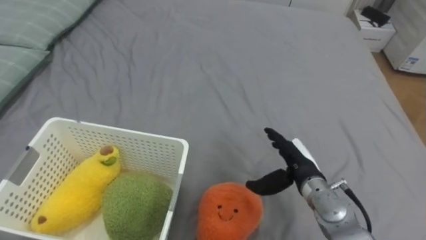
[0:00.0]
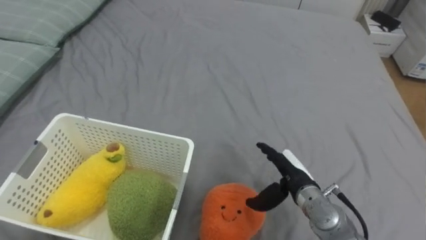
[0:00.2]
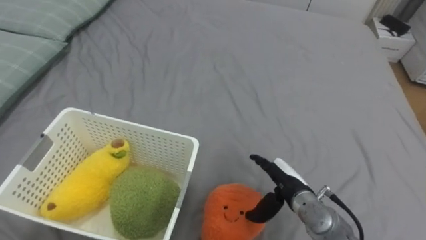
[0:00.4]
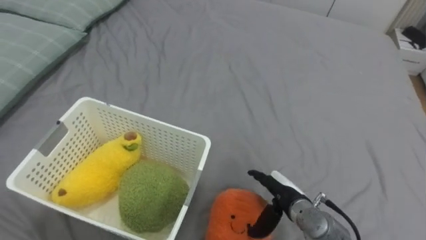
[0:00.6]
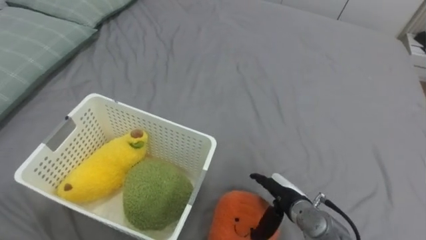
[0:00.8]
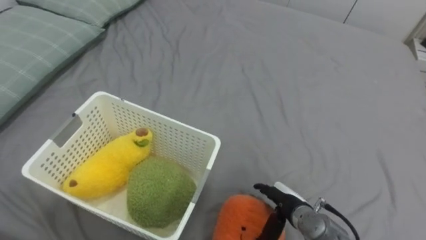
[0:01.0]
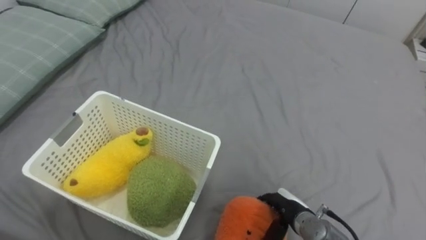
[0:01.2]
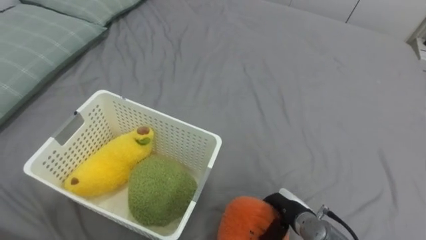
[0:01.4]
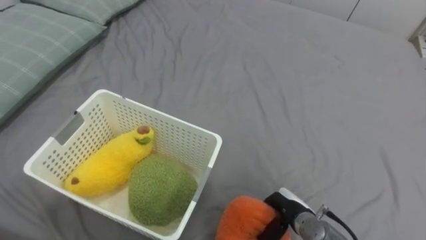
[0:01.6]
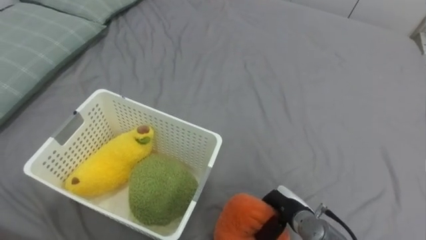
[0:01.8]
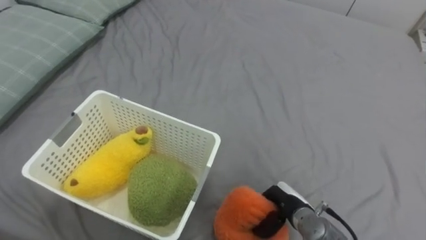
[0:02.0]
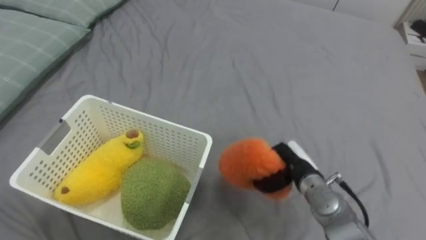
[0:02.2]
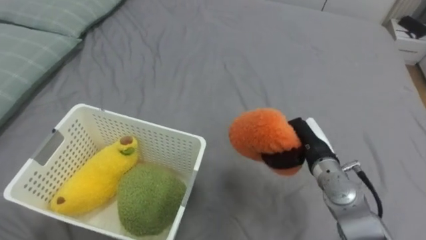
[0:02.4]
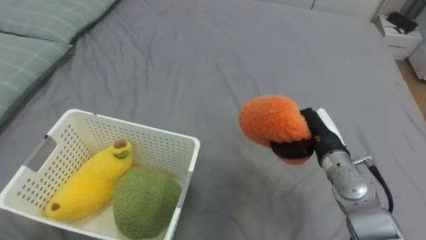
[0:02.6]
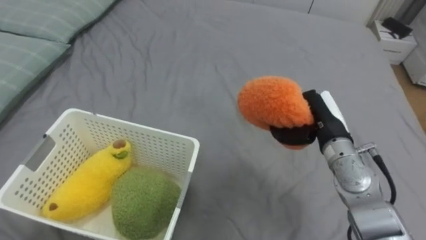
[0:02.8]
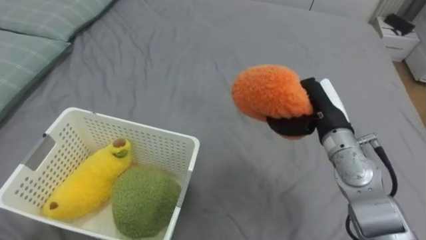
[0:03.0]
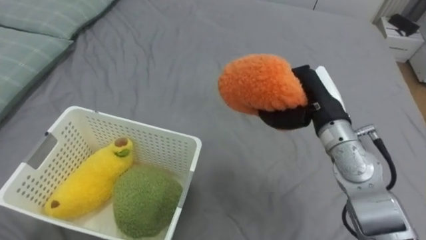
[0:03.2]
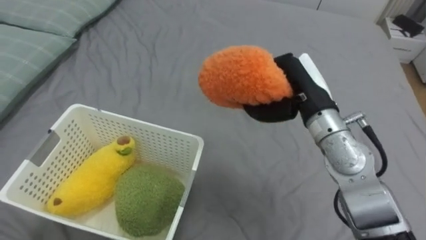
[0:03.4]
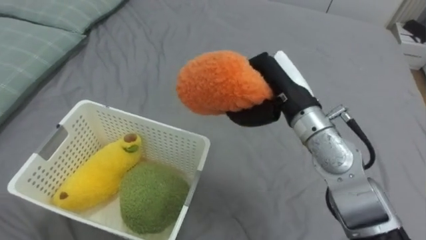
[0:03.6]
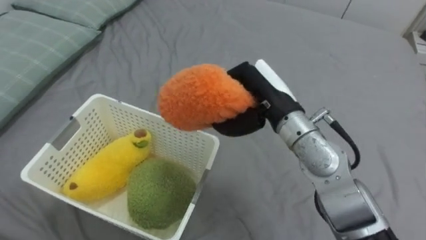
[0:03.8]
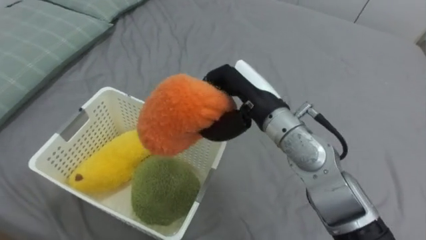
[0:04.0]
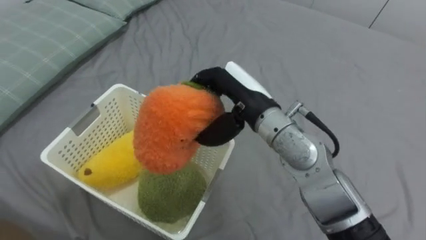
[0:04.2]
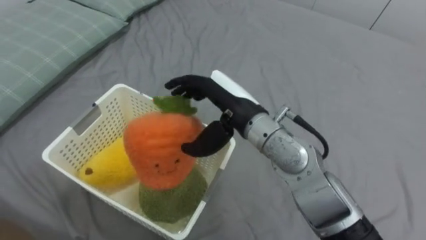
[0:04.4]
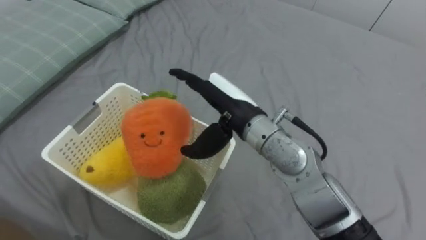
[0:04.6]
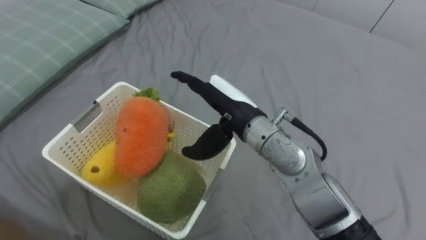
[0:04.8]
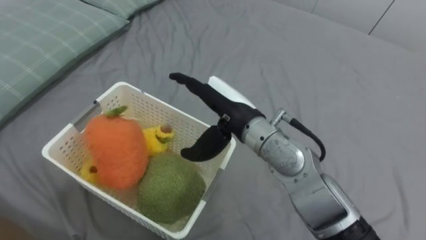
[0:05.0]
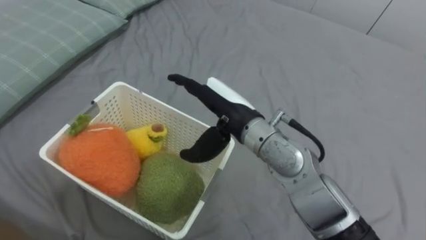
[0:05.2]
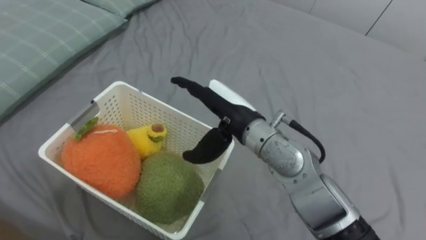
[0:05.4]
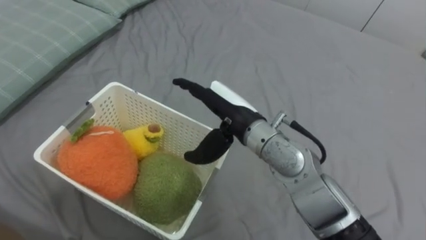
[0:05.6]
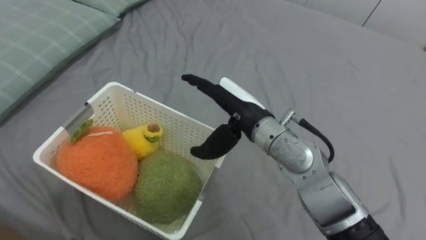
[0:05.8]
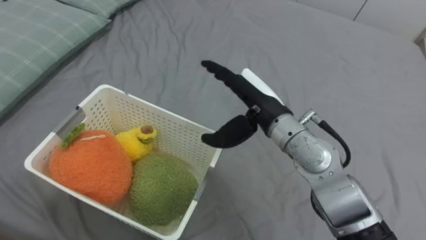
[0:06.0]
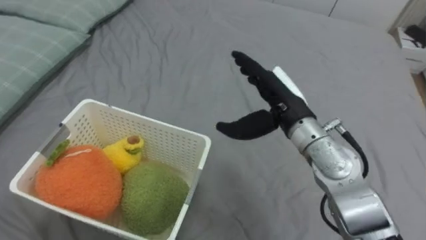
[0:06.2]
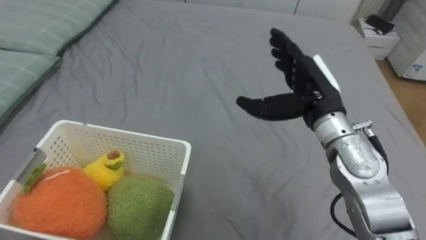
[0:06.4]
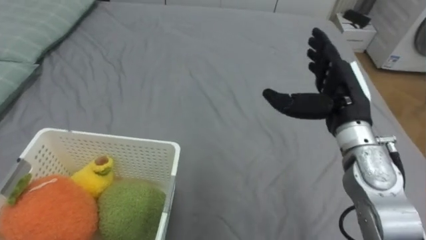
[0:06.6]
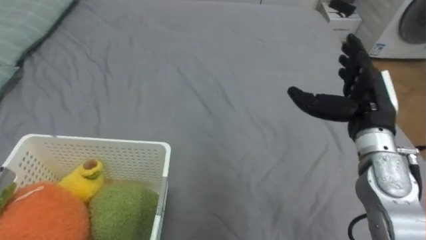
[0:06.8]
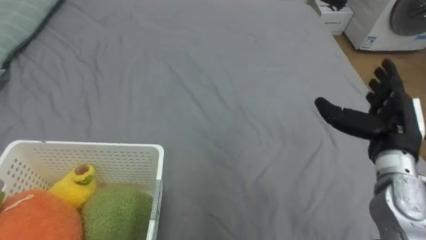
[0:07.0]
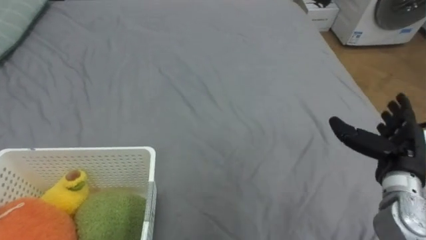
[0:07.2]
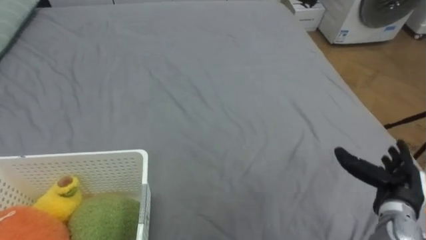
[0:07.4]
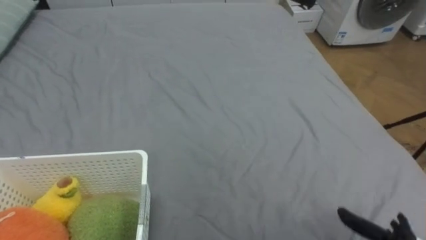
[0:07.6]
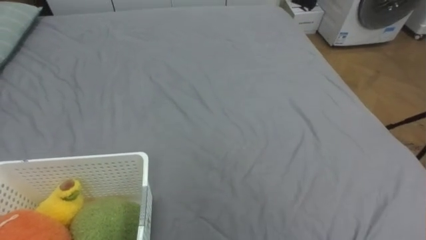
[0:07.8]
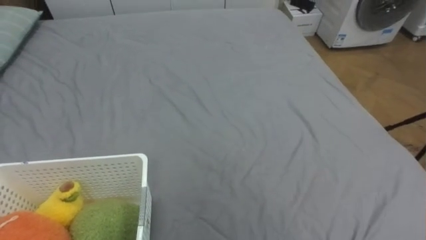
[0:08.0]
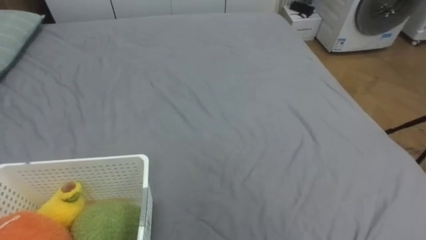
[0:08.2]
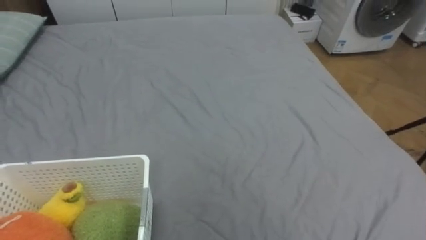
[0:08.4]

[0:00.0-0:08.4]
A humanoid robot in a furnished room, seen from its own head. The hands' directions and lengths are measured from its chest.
Task of the whole recording: Put the toys on the bed into the basket on the left.
0:00.0 to 0:01.4: The right hand heads downward and backward, covering some 10 cm, and closes up.
0:01.4 to 0:02.8: The right hand moves upward and forward, about 20 cm, and closes up.
0:02.8 to 0:04.2: The right hand is displaced to the left and upward by approximately 20 cm, and opens up.
0:04.2 to 0:05.6: The right hand opens.
0:05.6 to 0:07.0: The right hand travels to the right by about 25 cm.

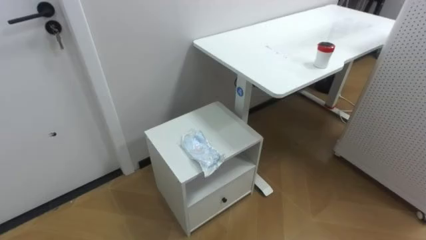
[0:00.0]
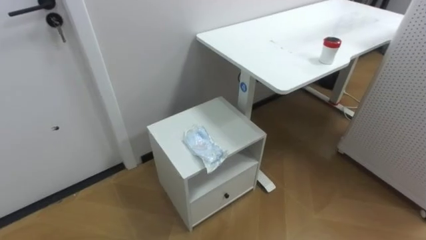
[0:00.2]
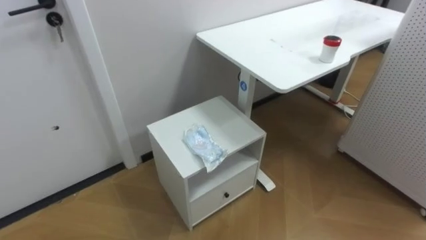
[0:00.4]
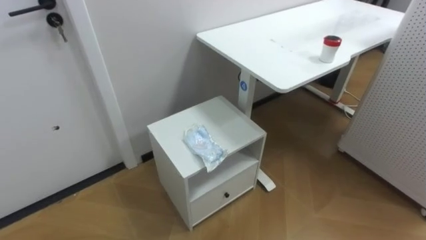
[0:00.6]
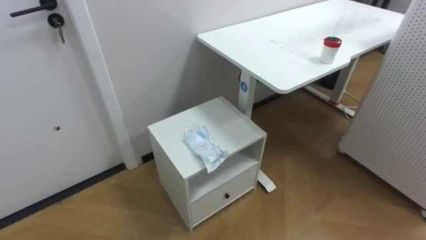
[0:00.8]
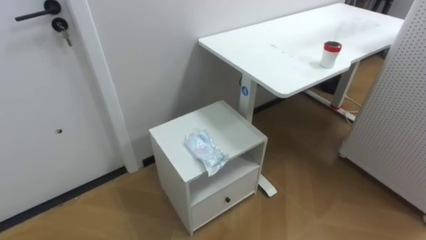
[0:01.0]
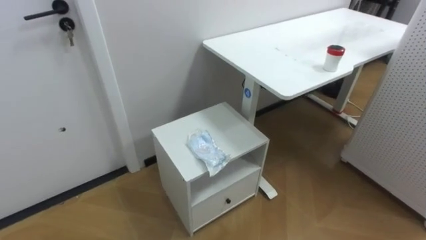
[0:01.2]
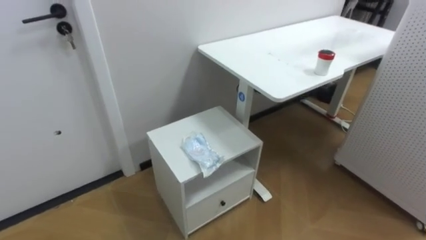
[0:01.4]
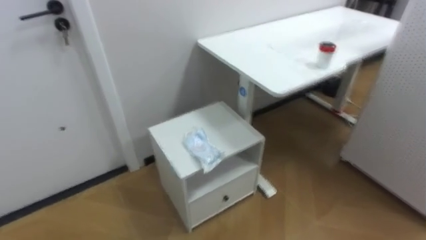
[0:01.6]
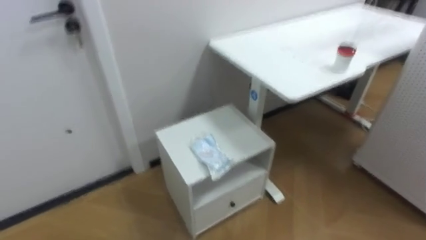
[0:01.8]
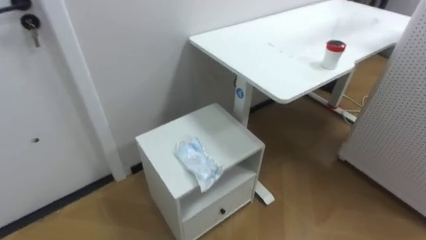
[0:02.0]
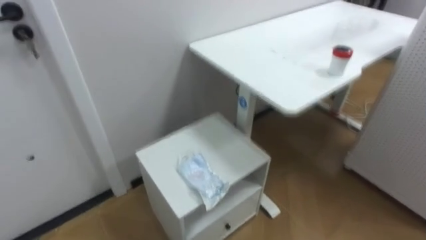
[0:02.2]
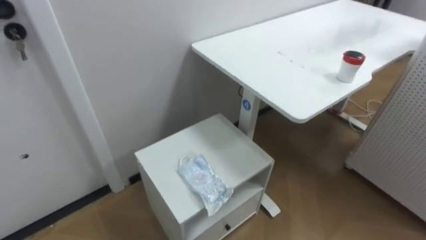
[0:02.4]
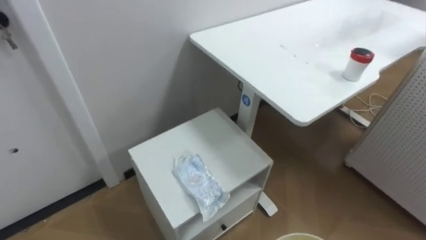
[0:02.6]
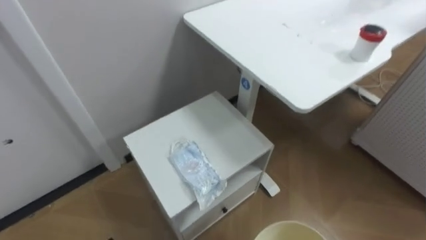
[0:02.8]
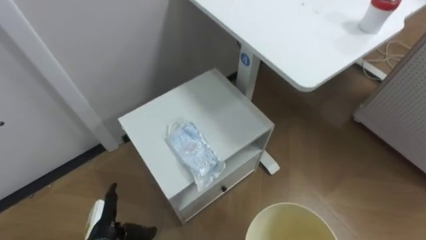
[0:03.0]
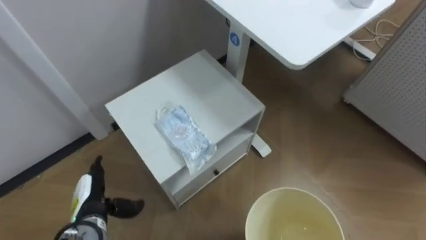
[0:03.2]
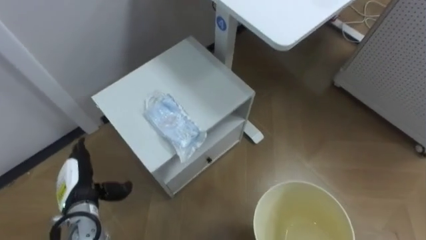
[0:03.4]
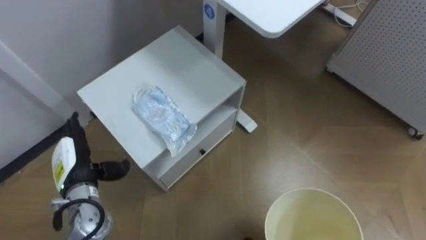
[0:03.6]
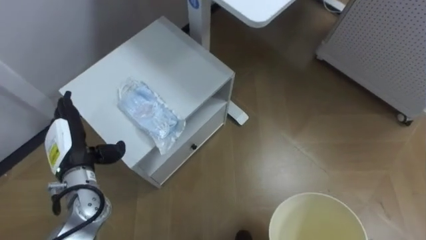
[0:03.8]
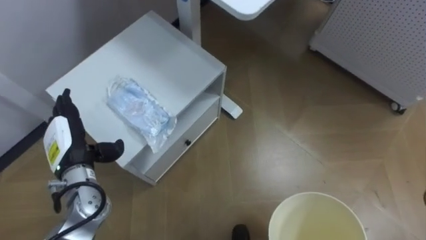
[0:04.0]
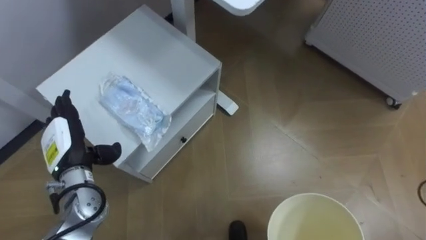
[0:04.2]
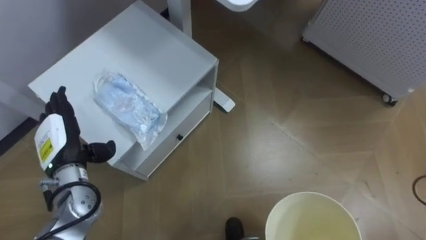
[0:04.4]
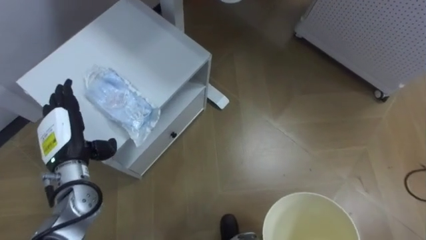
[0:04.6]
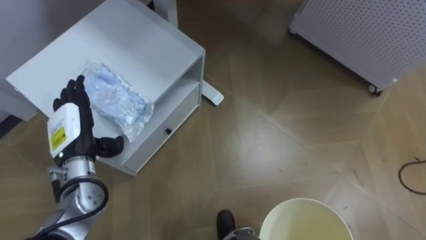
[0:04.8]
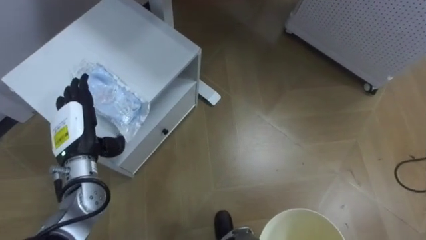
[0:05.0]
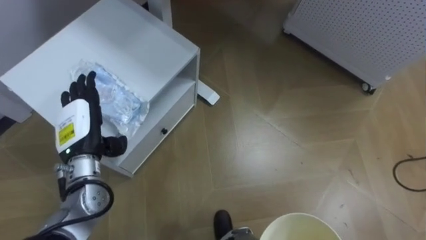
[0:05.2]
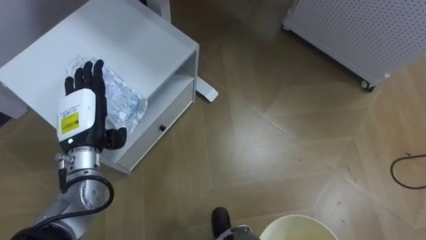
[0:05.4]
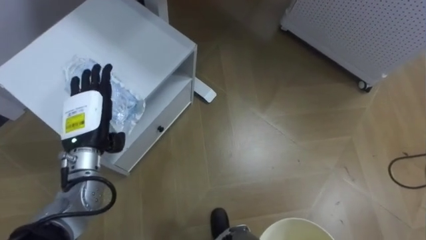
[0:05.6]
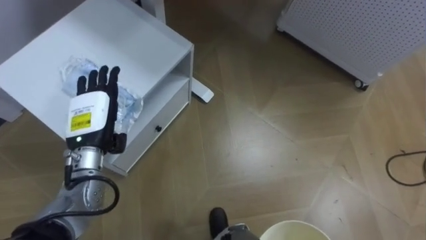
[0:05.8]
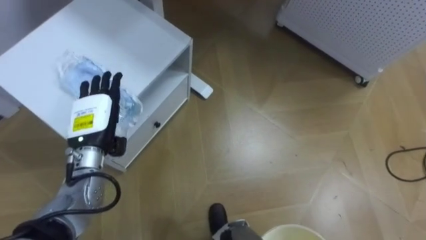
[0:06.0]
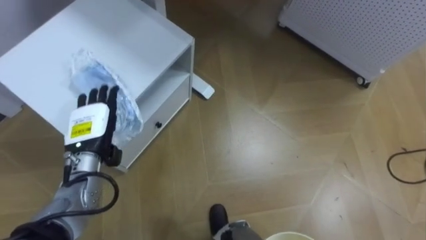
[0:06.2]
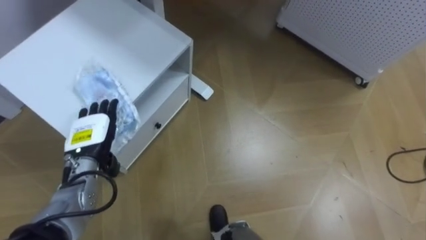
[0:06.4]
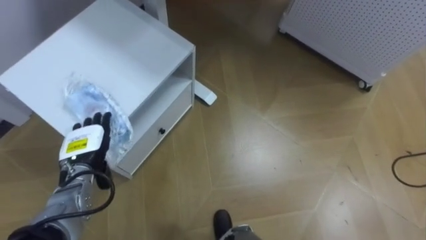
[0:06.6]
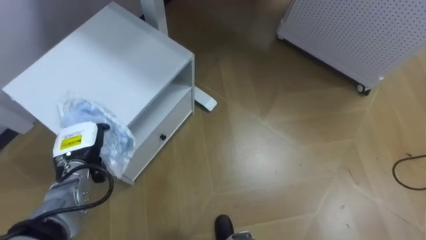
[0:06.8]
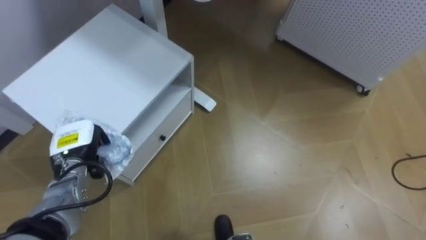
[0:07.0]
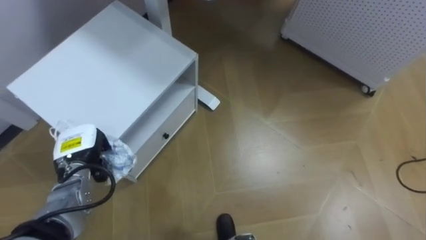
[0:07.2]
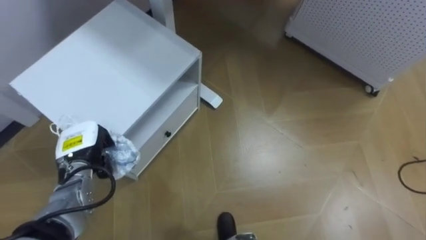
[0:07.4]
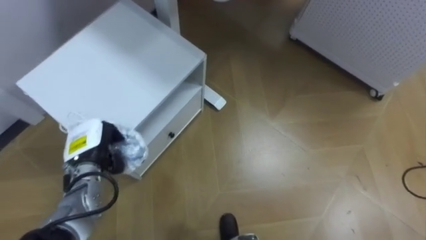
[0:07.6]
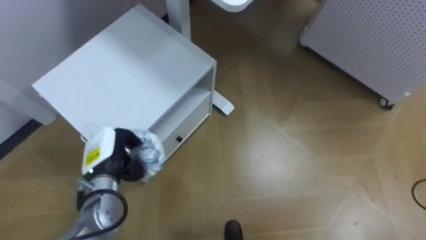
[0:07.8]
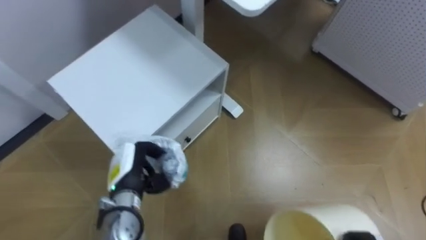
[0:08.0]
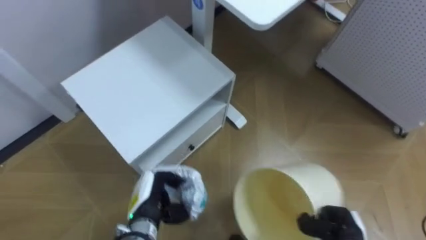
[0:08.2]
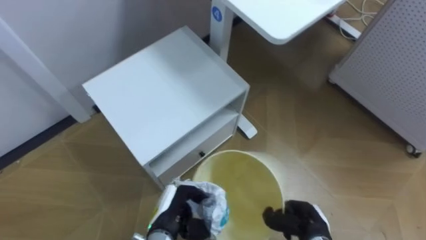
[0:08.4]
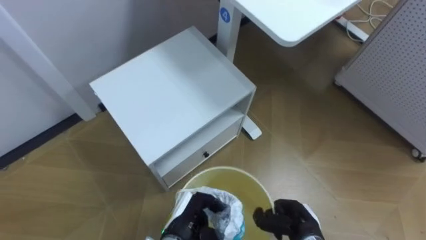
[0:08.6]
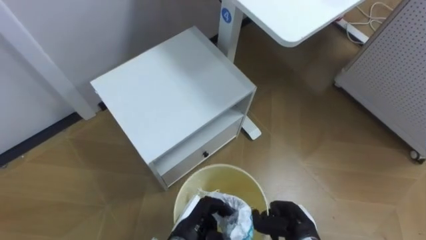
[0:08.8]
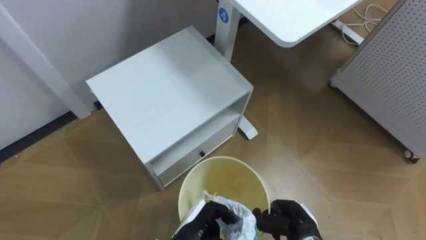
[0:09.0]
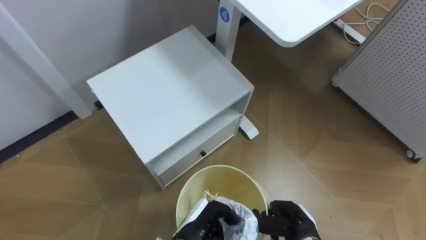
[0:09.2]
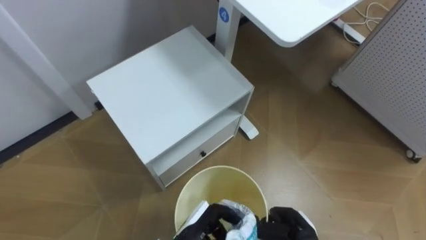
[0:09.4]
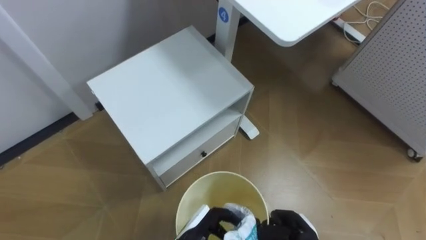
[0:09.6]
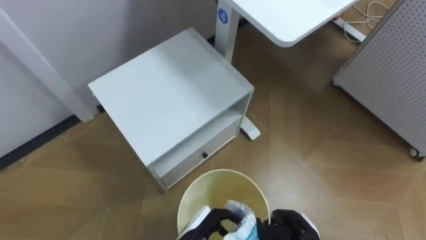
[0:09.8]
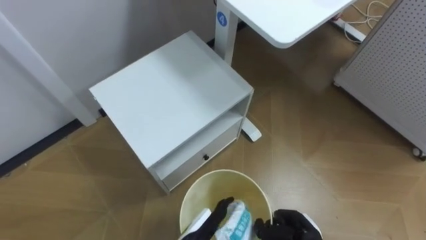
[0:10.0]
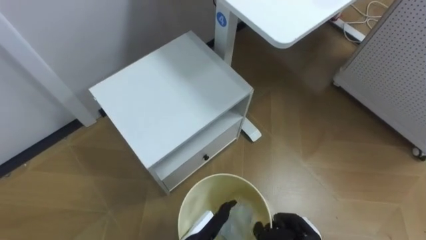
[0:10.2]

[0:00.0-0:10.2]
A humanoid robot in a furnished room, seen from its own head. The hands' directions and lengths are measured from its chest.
Task of the whole recording: Pick up the light blue package, the candy box, and the dark blue package separately, and put them into the trash can held in your right hand.
0:03.0 to 0:04.4: The left hand goes roughly 20 cm upward and forward.
0:04.4 to 0:05.8: The left hand moves to the right, some 5 cm.
0:05.8 to 0:07.2: The left hand heads downward, covering some 5 cm, and closes its fingers.
0:07.2 to 0:08.8: The left hand heads to the right, backward and downward, covering about 25 cm.
0:08.8 to 0:10.2: The left hand opens its fingers.
